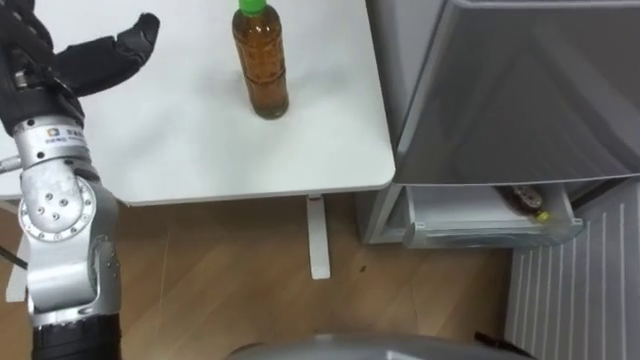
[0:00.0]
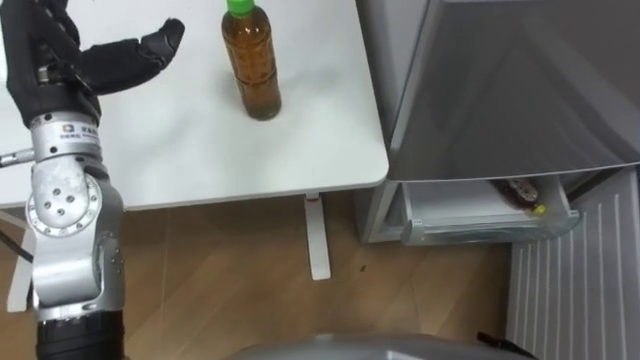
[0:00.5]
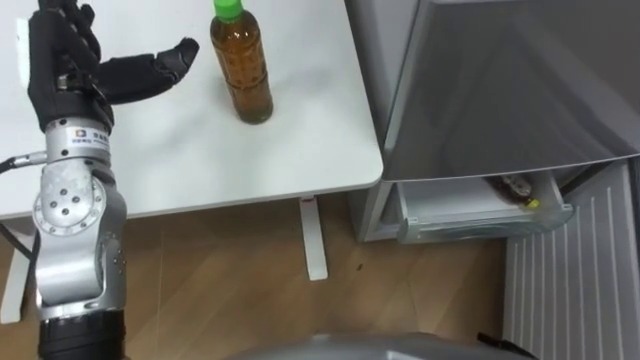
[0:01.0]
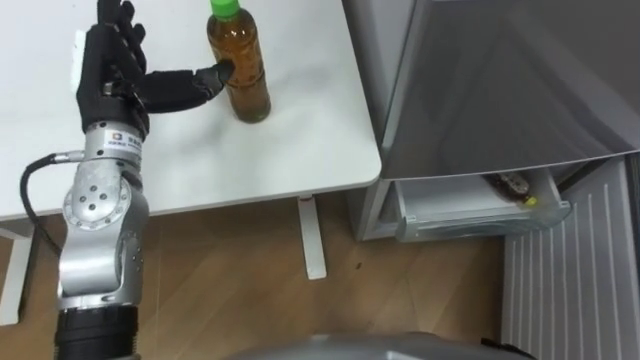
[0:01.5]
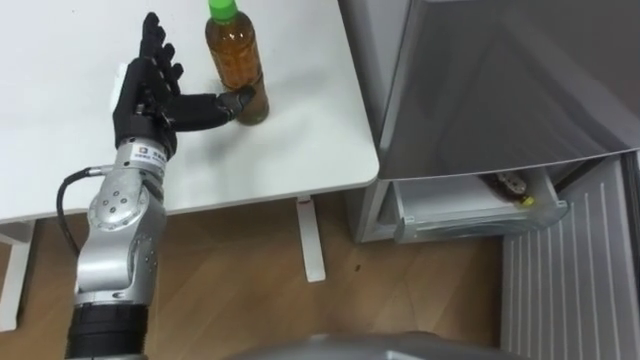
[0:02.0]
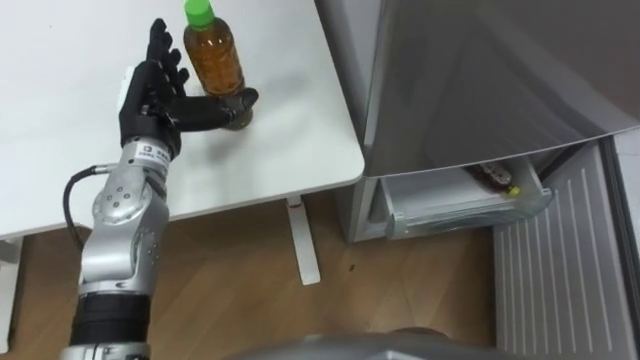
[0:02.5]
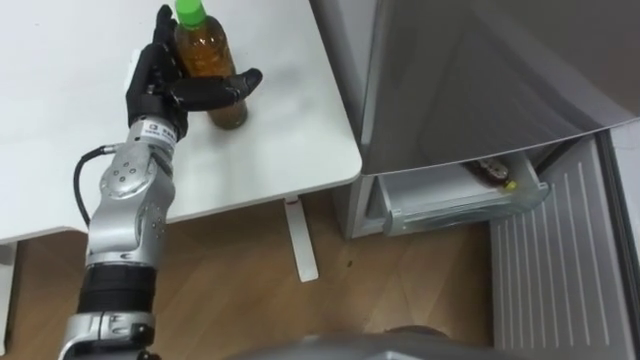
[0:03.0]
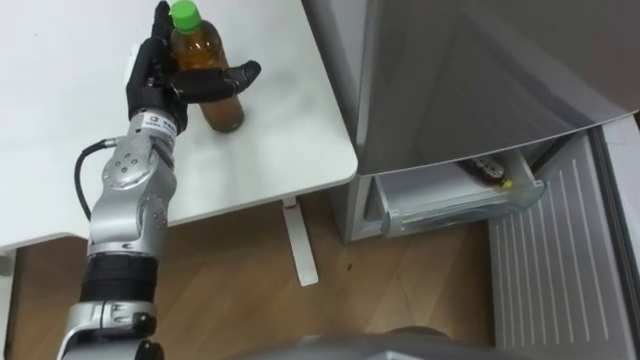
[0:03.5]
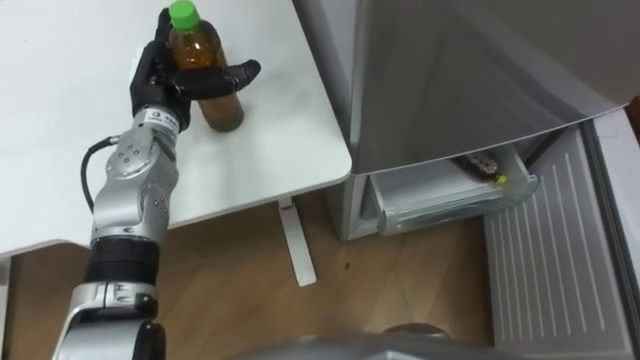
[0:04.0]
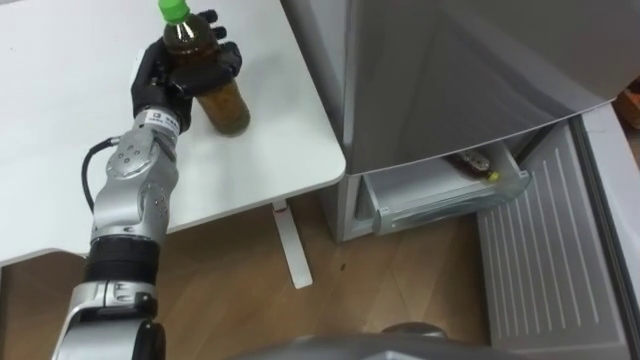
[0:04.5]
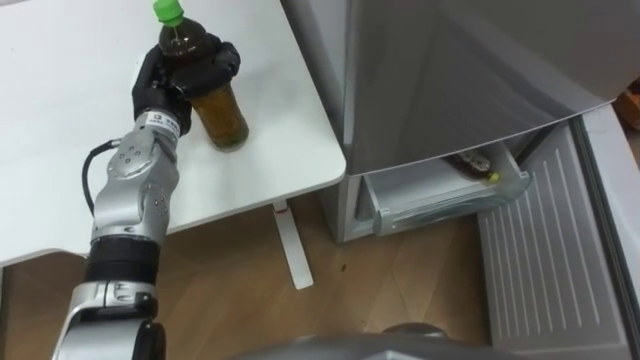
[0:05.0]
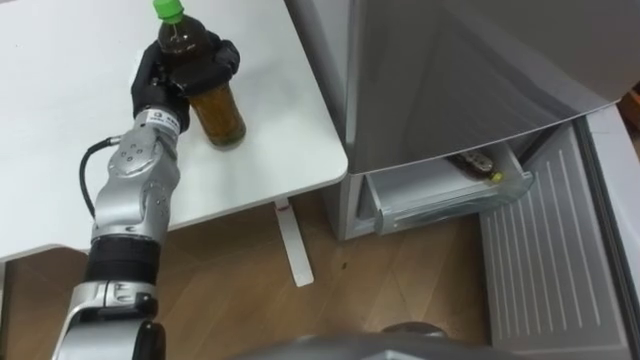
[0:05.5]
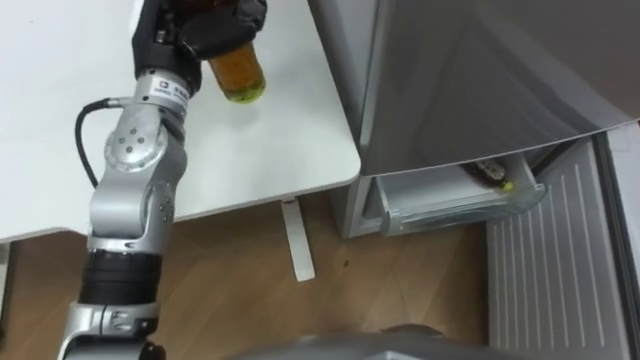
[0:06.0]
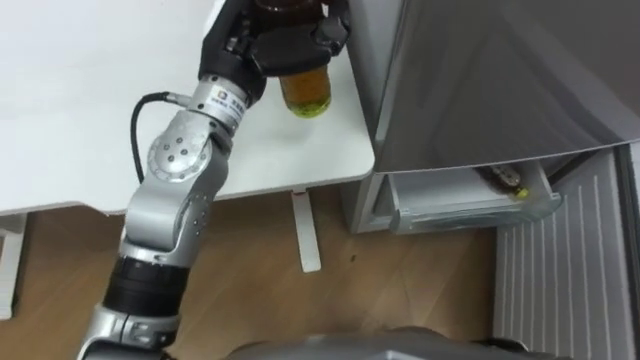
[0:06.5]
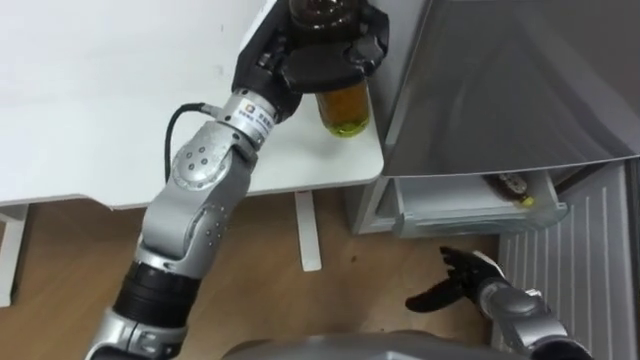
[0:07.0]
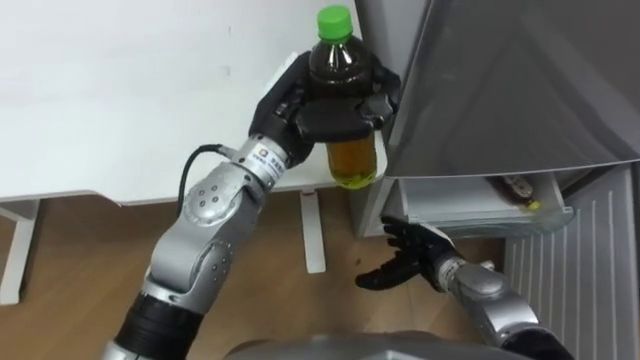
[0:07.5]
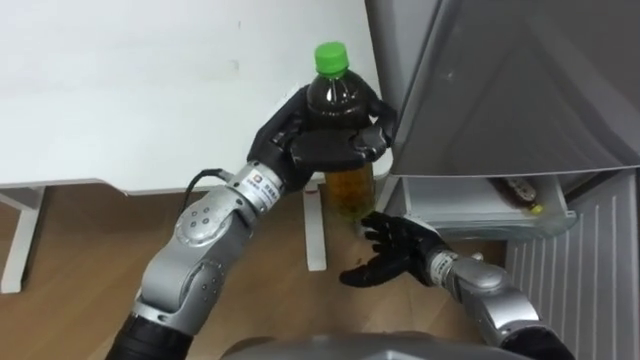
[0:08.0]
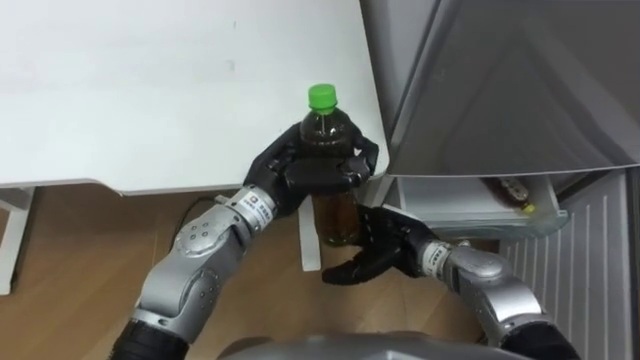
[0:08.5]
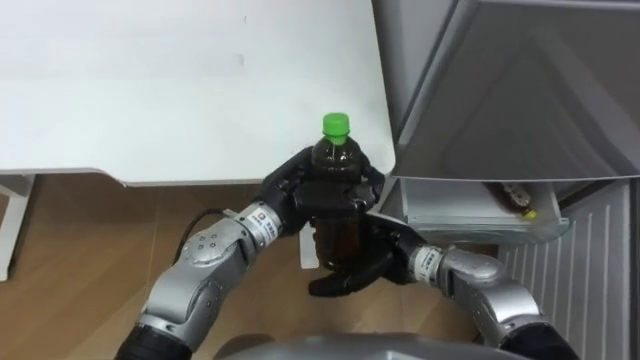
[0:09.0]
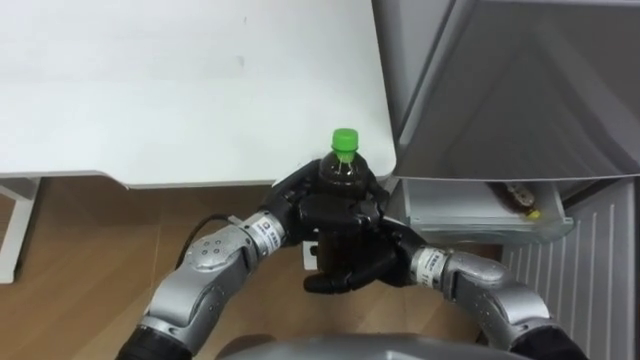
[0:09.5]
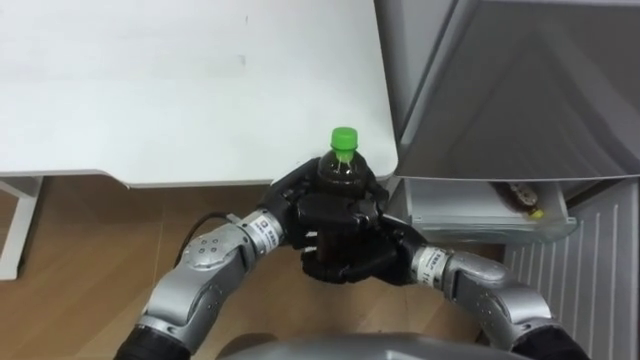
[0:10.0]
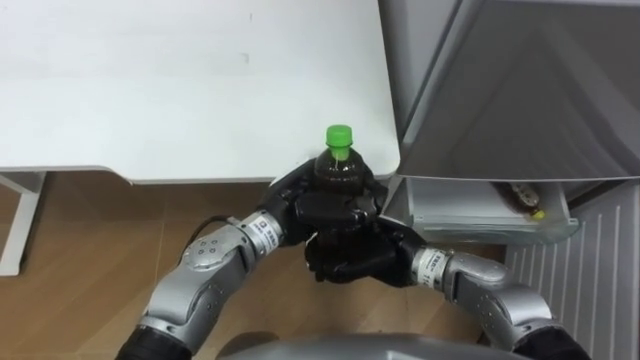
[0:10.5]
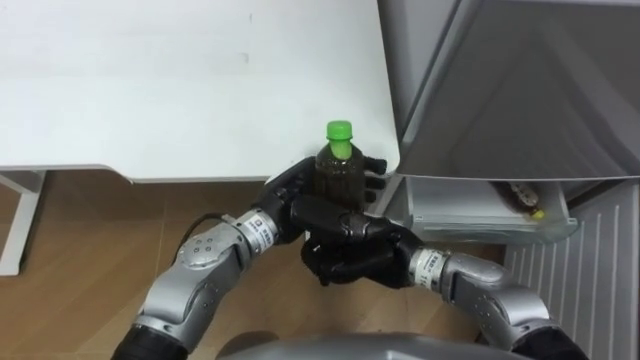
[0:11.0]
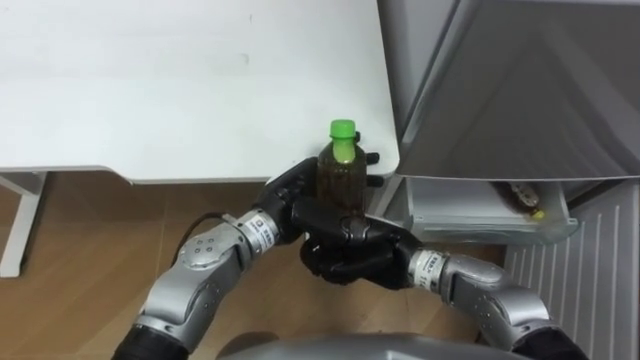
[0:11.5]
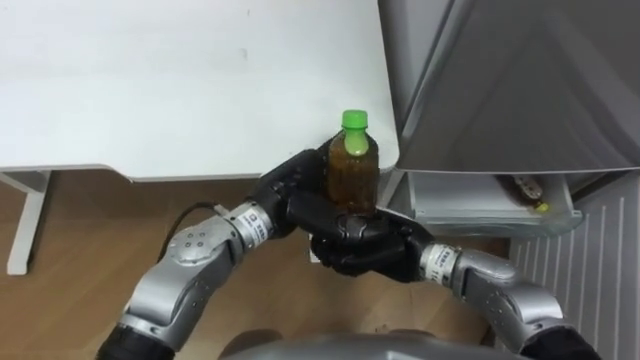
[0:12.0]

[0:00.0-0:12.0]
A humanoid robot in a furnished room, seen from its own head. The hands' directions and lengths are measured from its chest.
Task of the whole recording: Place the drink on the table on the bottom shelf of the refrigerator, then close the drawer and the refrigerator door.
0:00.0 to 0:02.0: The left hand is displaced downward and to the right by roughly 10 cm.
0:02.0 to 0:04.0: The left hand changes place by some 5 cm.
0:04.0 to 0:06.0: The left hand is displaced upward by some 10 cm, and closes up.
0:06.0 to 0:08.0: The left hand goes about 15 cm to the right and backward.
0:08.0 to 0:10.0: The right hand goes some 10 cm upward and to the left; the left hand shifts approximately 10 cm downward.
0:10.0 to 0:12.0: The left hand opens up; the right hand closes its fingers.

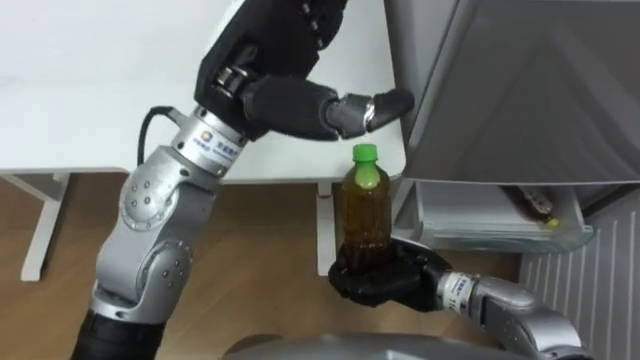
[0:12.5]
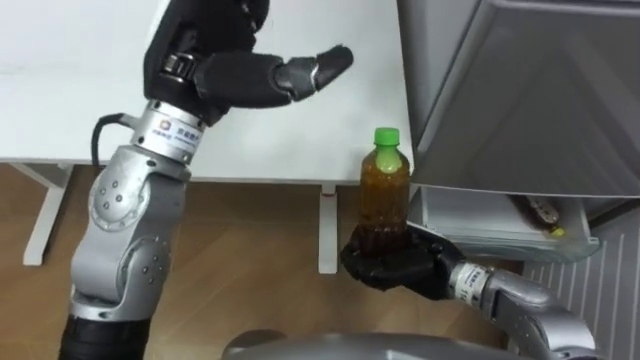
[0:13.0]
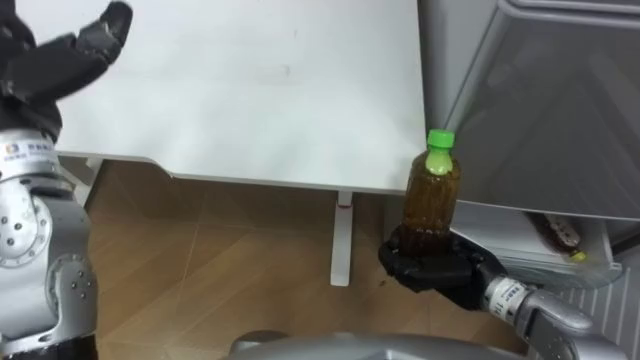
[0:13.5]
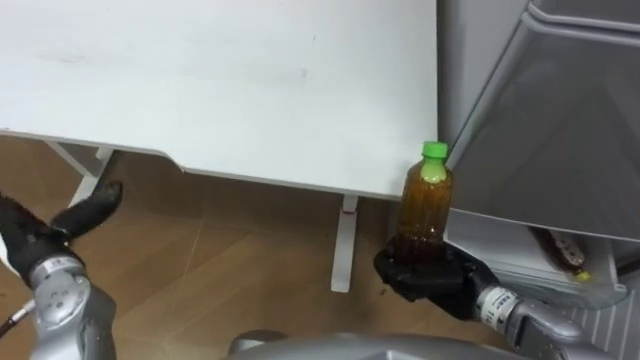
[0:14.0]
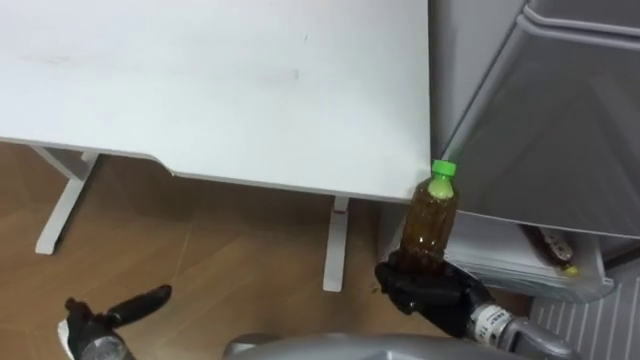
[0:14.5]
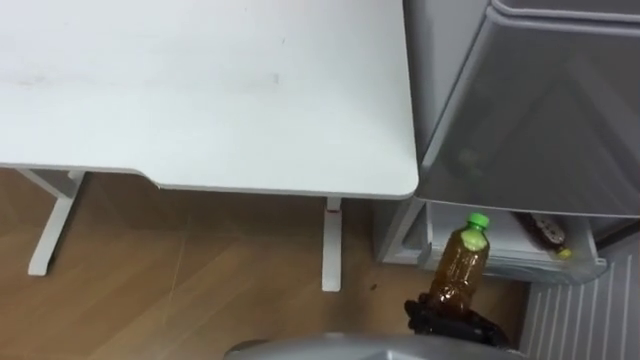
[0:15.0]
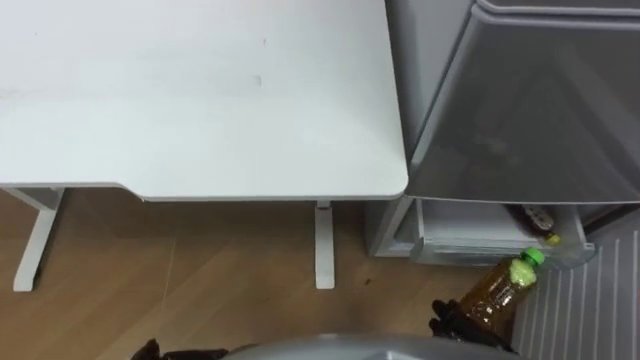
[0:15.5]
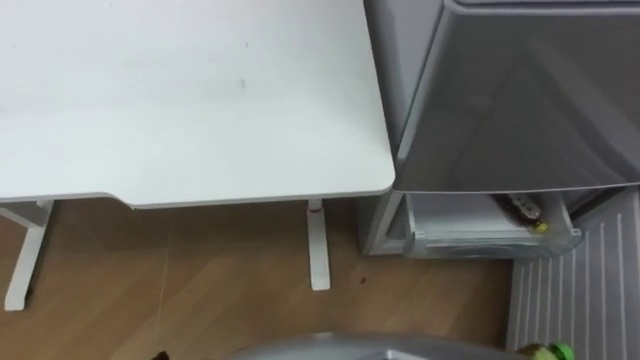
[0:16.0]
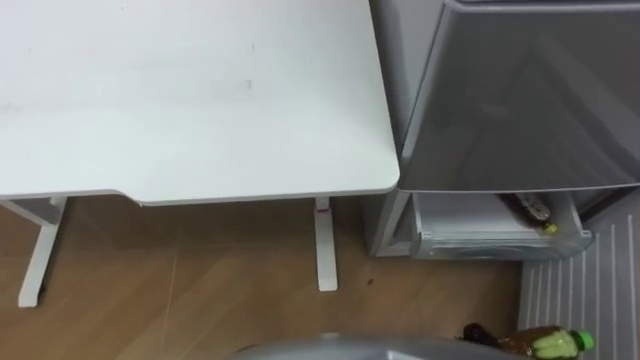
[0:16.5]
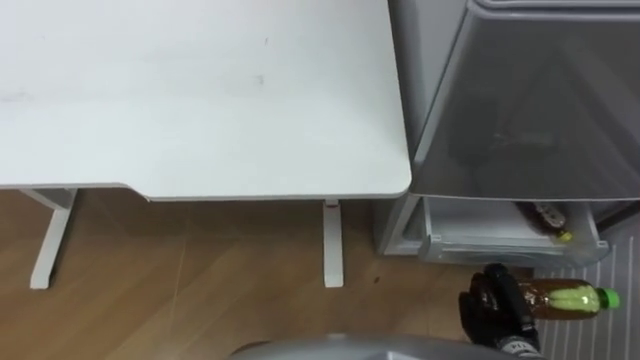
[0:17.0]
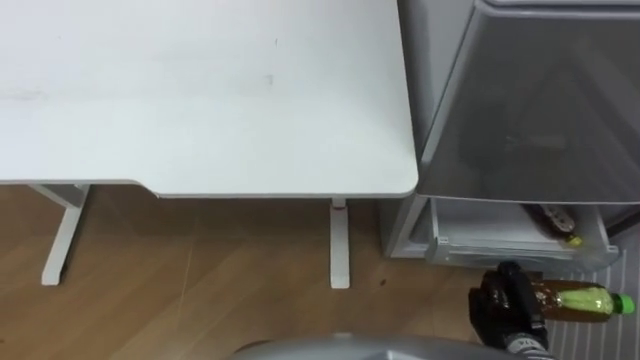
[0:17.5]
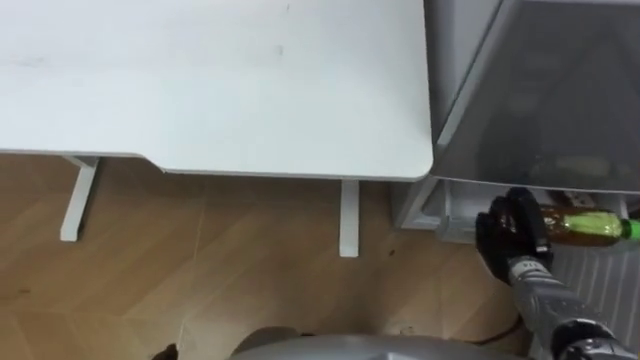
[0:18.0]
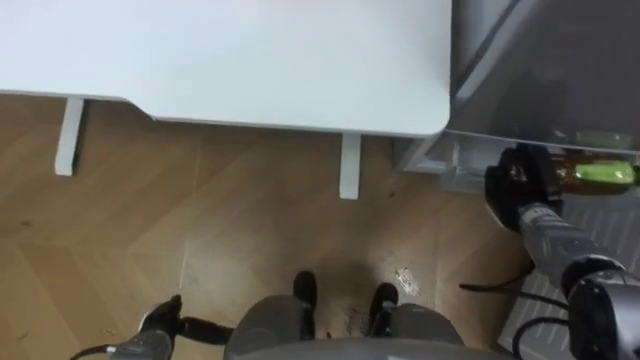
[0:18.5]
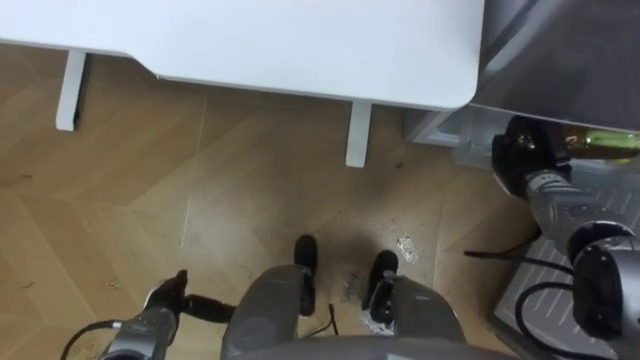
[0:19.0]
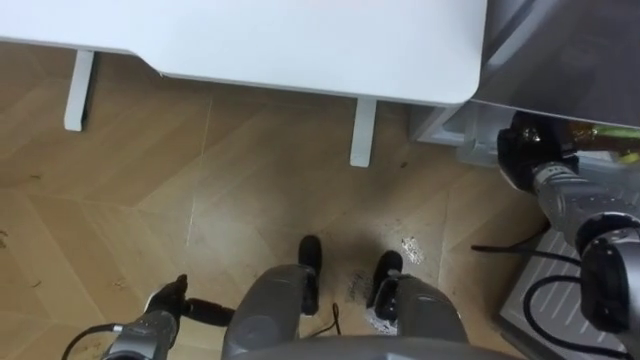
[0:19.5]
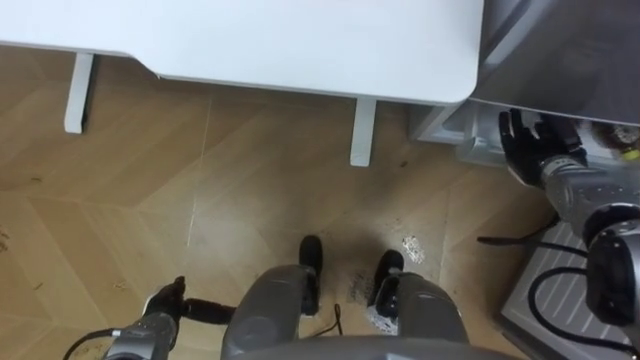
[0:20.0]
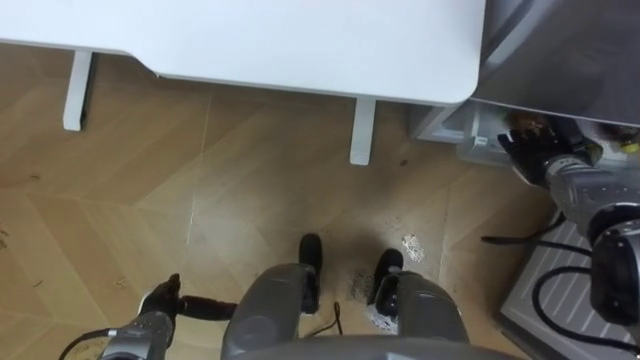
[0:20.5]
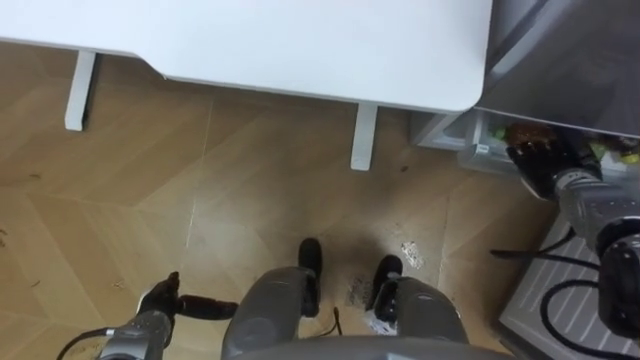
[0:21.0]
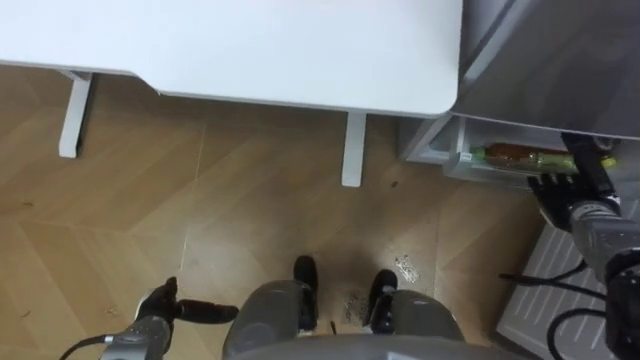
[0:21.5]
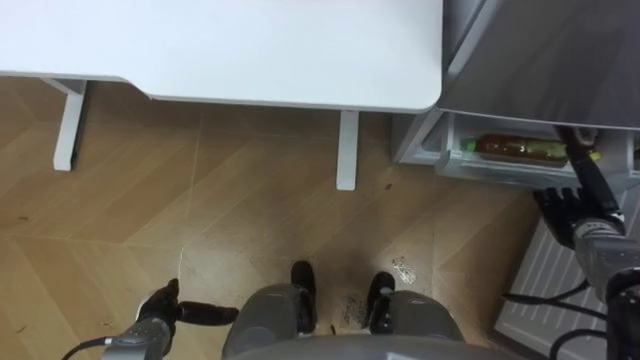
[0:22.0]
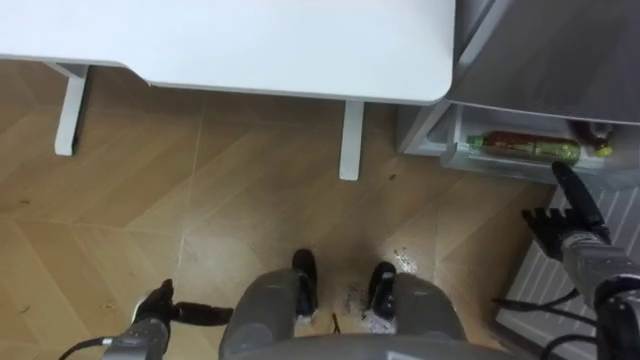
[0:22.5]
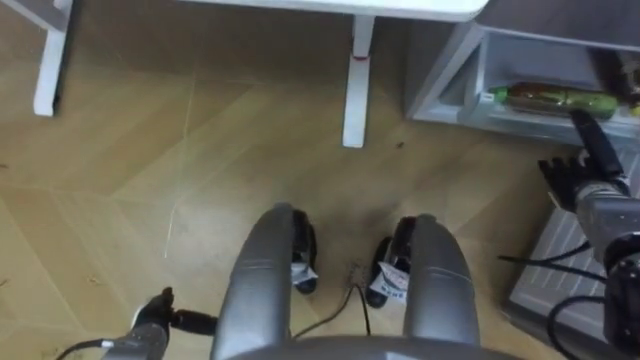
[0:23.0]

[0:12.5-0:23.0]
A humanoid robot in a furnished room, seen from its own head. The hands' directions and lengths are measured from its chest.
Task of the whole recording: Place the drink on the table on the bottom shelf of the refrigerator, then close the drawer and the refrigerator door.
0:12.5 to 0:14.5: The right hand travels to the right by some 5 cm.
0:19.0 to 0:21.0: The right hand opens.
0:21.0 to 0:23.0: The right hand goes backward and returns, about 10 cm each way.
